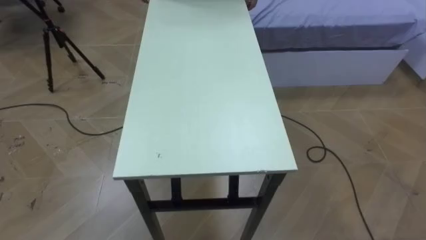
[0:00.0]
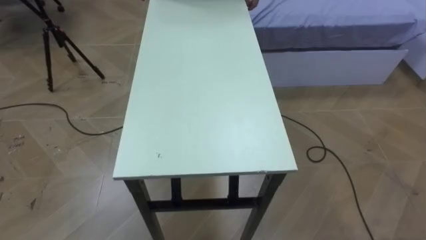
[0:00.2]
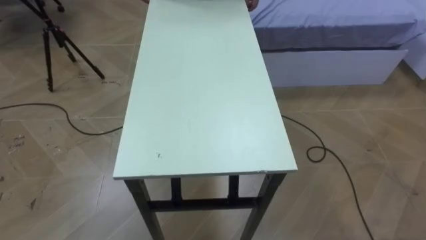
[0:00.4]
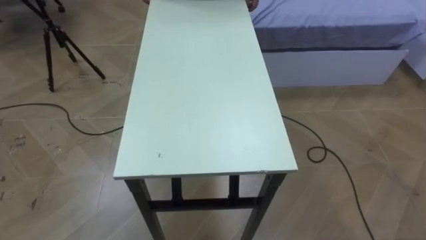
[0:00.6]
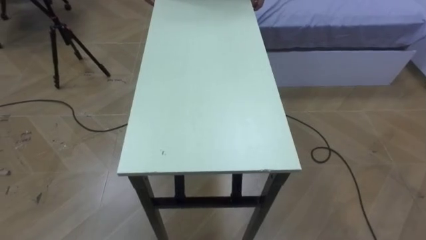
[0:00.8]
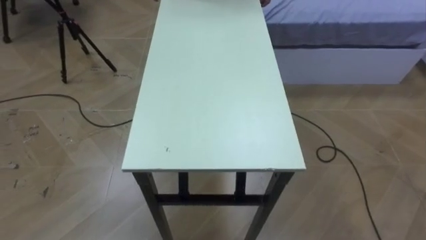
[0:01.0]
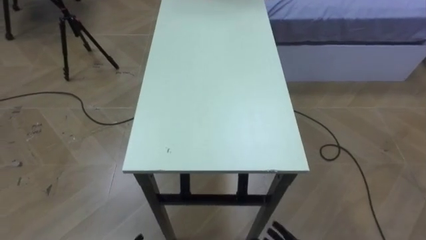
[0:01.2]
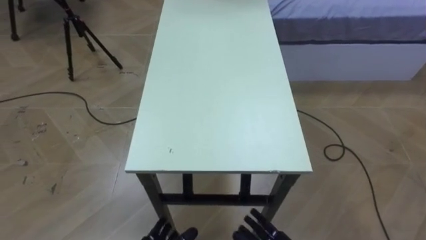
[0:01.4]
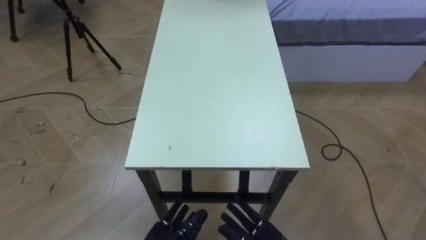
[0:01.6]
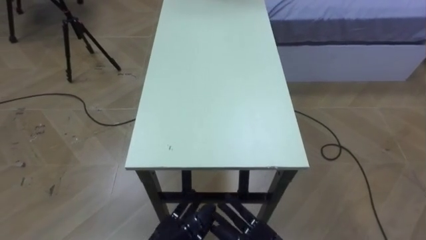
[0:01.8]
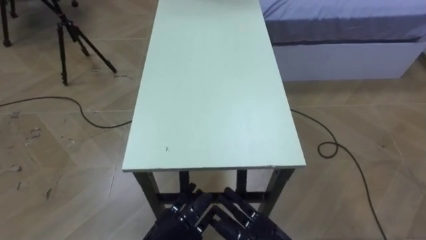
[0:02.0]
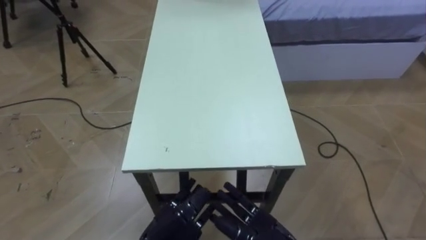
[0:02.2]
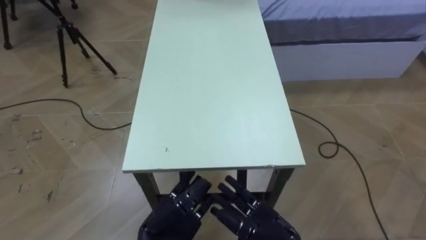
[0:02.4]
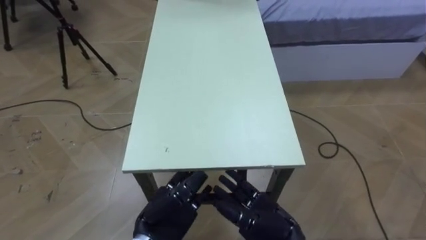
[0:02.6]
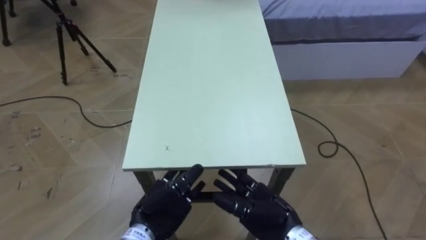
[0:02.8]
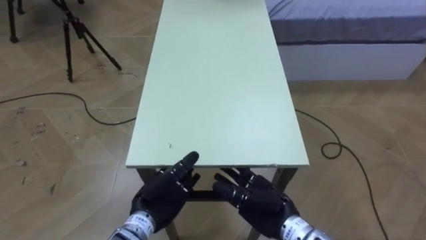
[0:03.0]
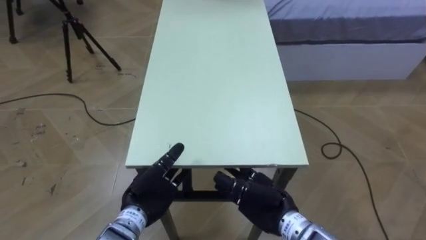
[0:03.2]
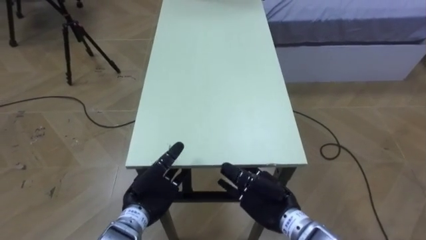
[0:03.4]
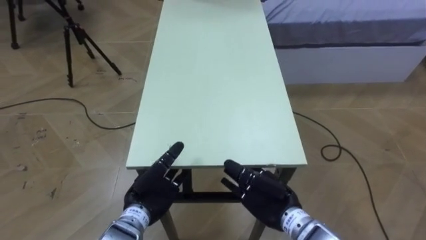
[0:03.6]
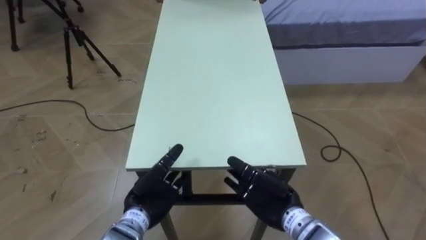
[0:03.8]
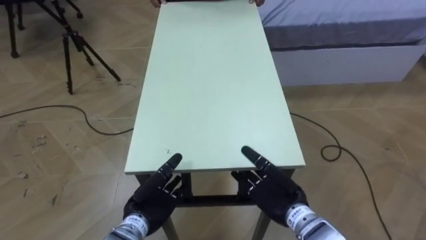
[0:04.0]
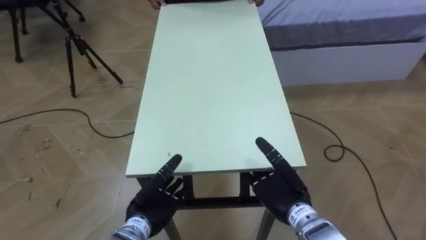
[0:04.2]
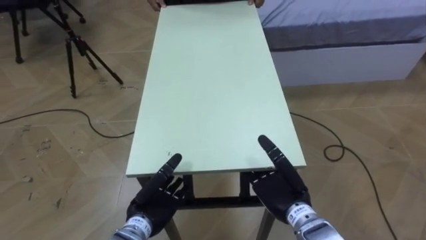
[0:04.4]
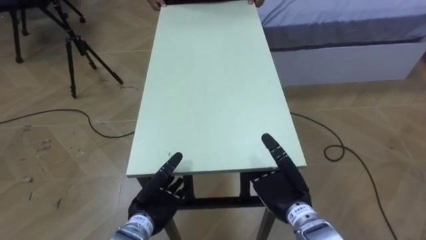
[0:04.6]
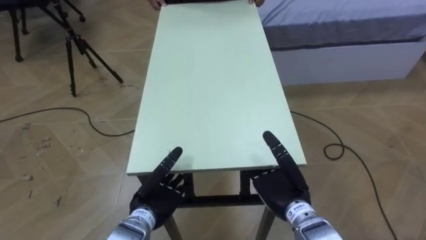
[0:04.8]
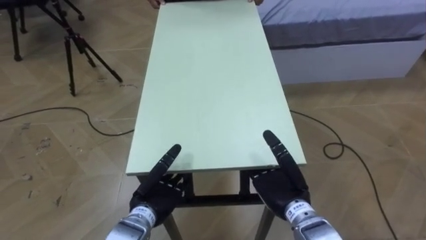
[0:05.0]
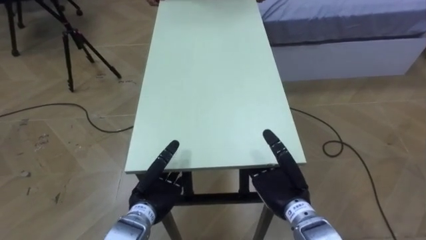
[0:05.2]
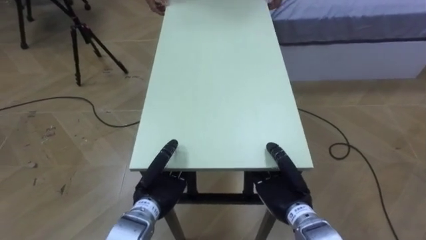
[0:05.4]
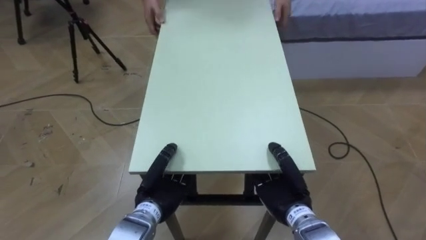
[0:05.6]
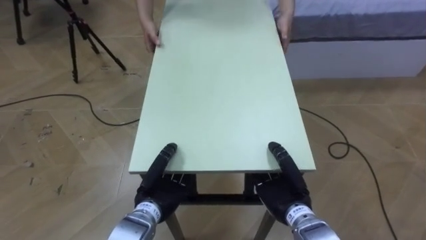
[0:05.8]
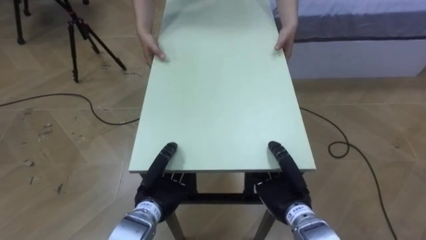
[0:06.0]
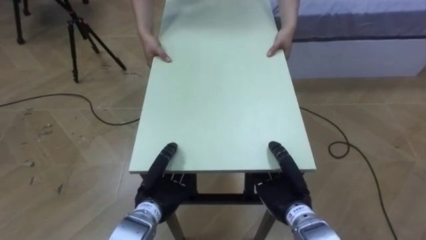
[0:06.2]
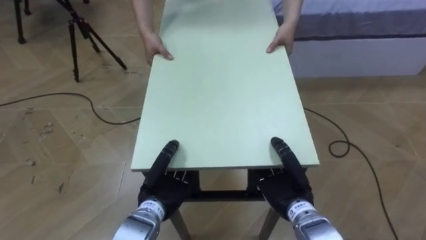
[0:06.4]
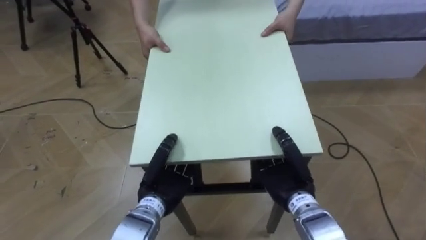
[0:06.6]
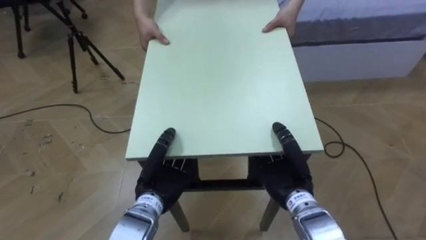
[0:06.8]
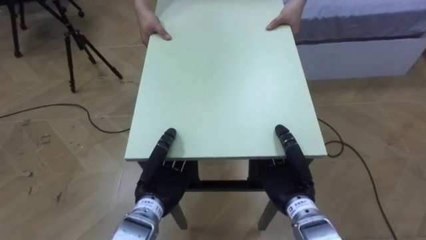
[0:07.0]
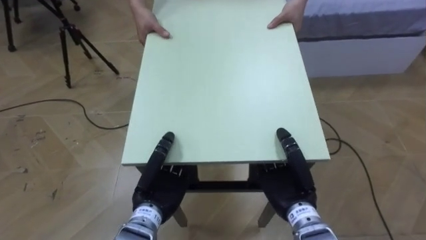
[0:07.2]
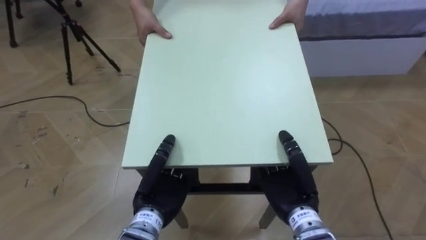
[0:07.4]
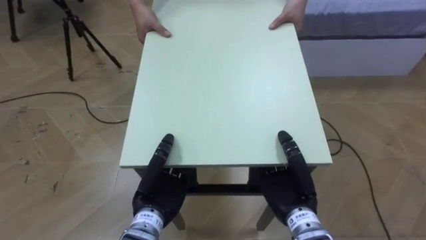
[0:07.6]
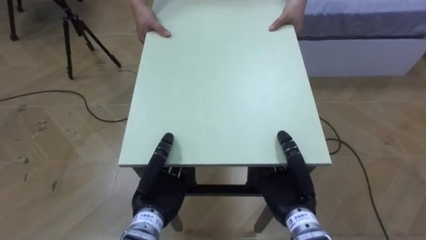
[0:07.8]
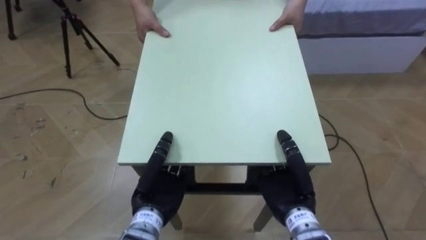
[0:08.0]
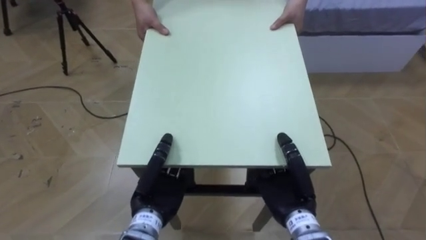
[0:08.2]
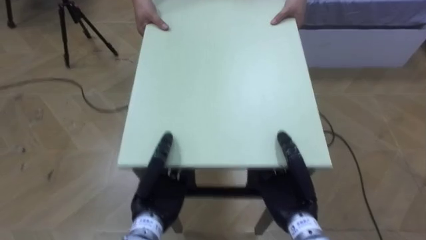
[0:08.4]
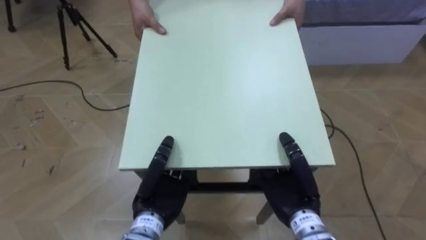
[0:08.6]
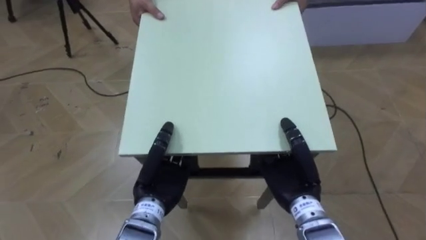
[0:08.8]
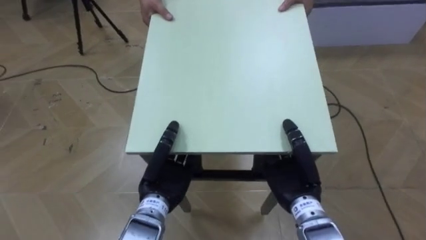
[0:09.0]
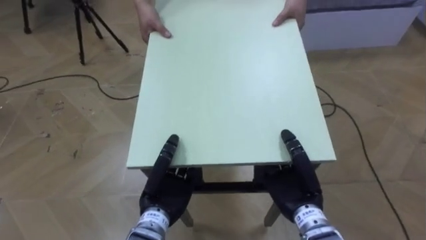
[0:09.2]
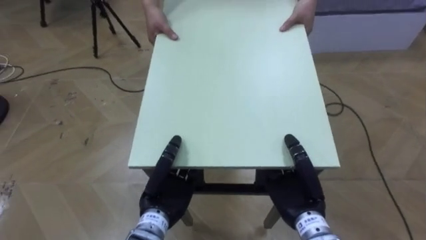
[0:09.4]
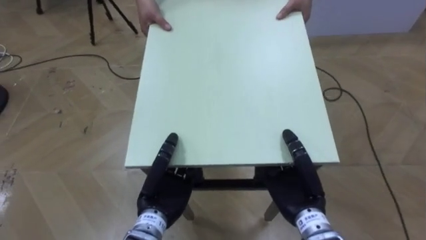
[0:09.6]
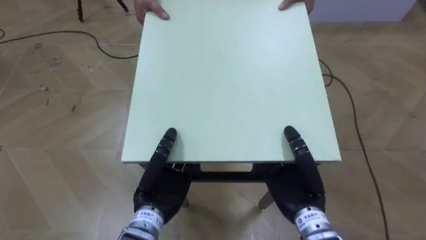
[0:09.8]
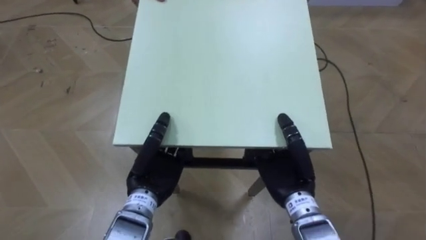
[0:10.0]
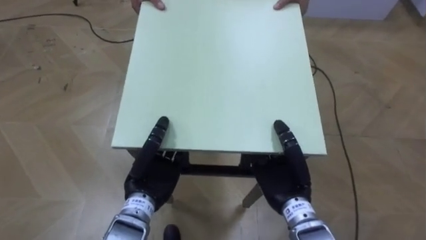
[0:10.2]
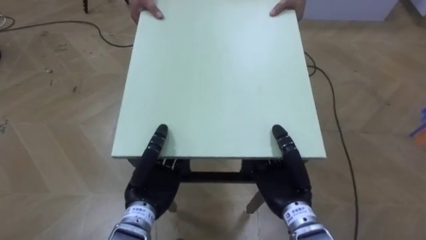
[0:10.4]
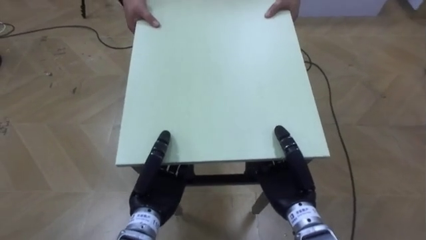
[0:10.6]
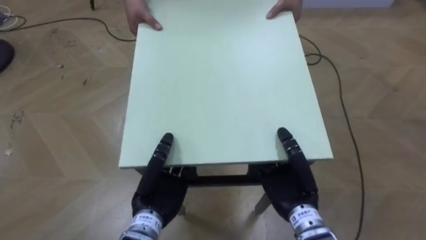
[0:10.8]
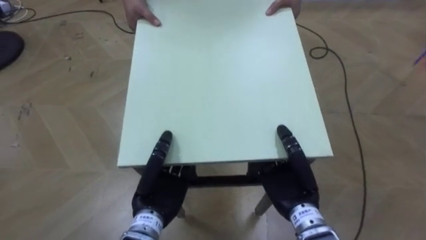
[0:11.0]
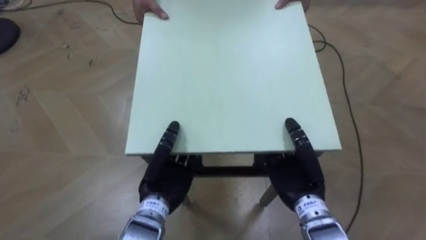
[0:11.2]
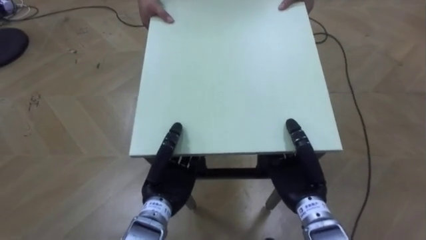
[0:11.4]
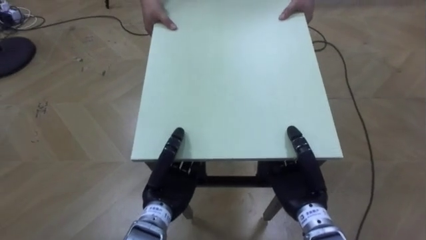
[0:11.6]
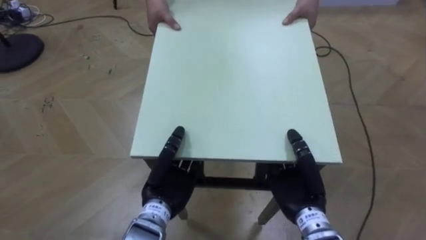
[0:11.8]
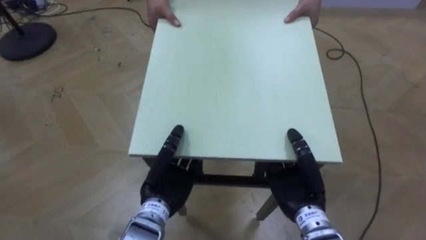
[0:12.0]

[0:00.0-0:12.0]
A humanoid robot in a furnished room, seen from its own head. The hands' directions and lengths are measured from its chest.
Task of the whole recording: Move the table to the back left with someone.
0:04.4 to 0:06.0: The left hand closes up. The right hand closes its fingers.

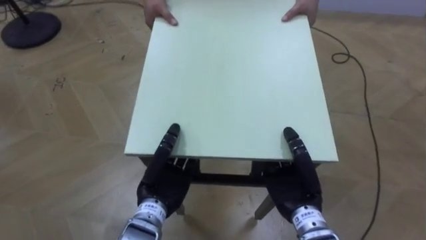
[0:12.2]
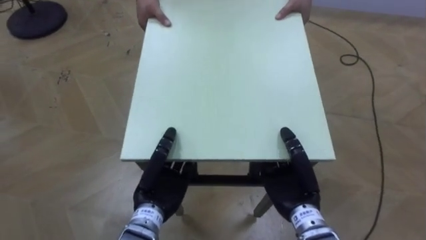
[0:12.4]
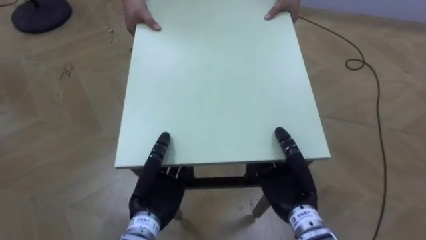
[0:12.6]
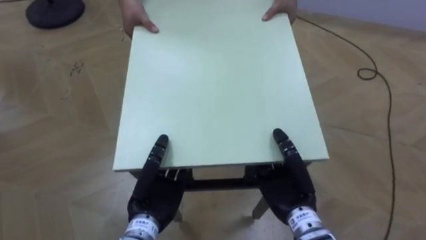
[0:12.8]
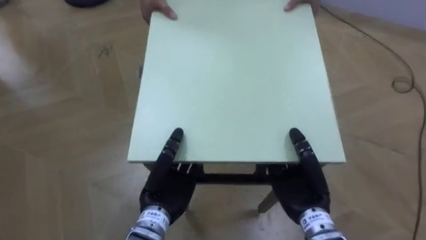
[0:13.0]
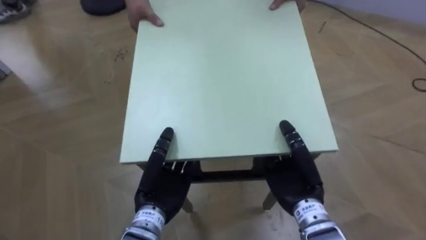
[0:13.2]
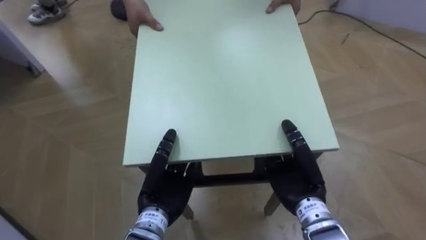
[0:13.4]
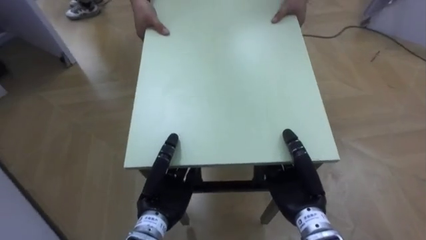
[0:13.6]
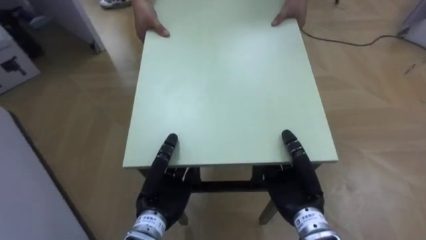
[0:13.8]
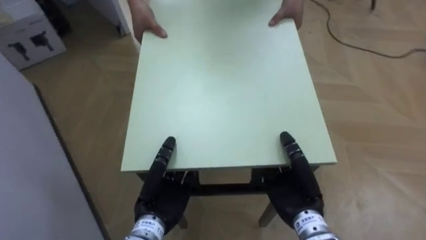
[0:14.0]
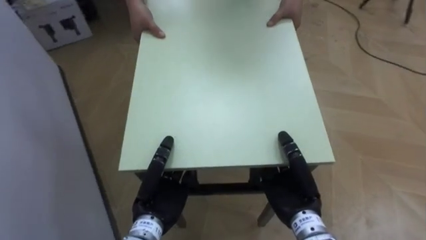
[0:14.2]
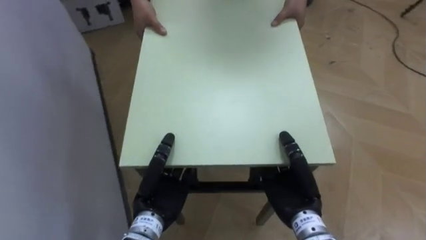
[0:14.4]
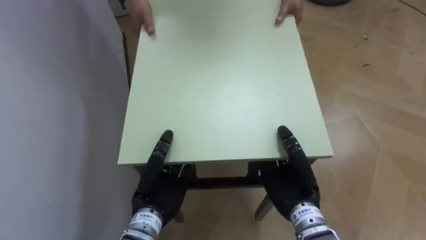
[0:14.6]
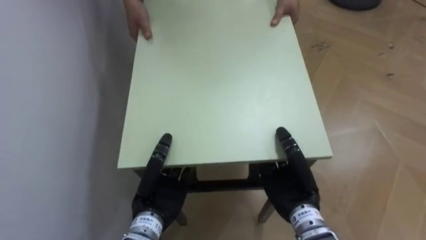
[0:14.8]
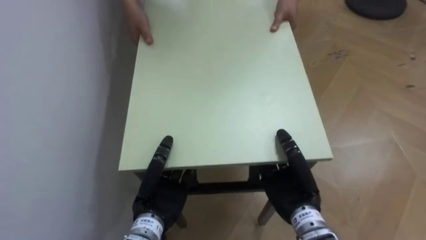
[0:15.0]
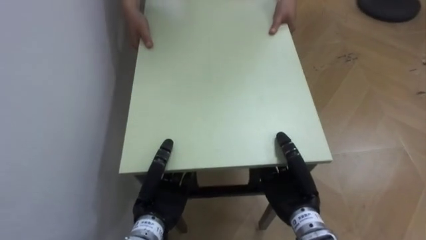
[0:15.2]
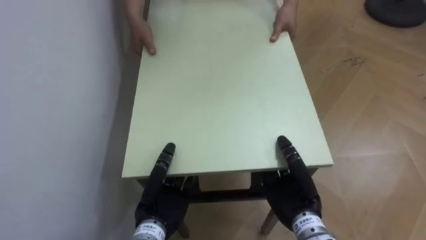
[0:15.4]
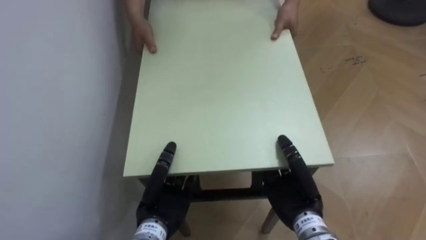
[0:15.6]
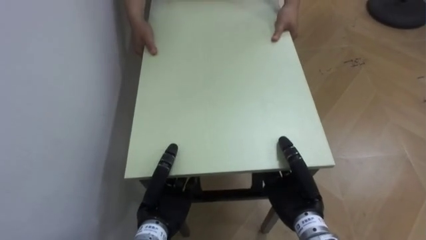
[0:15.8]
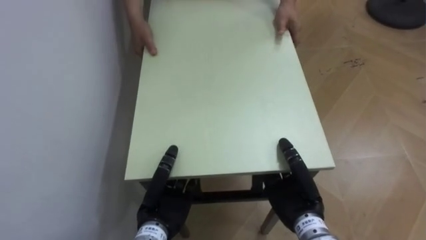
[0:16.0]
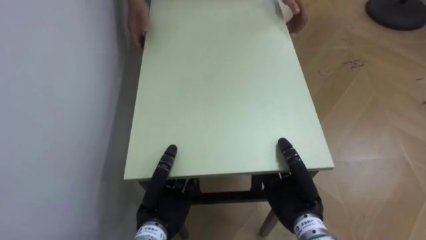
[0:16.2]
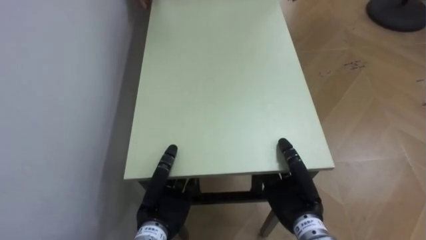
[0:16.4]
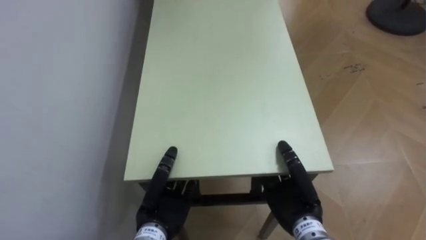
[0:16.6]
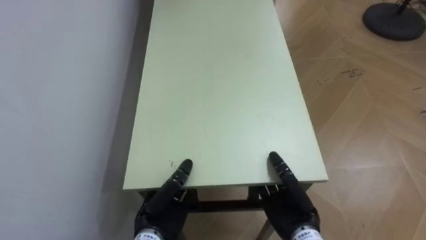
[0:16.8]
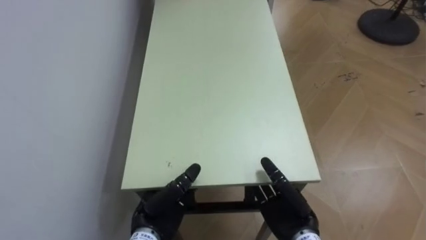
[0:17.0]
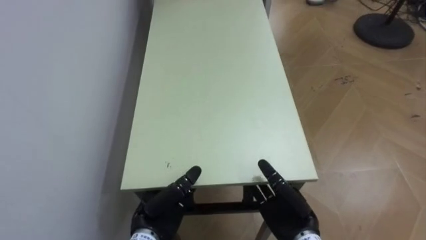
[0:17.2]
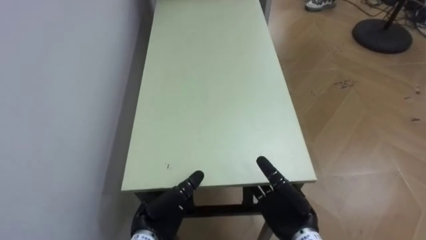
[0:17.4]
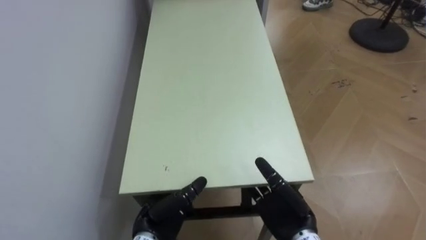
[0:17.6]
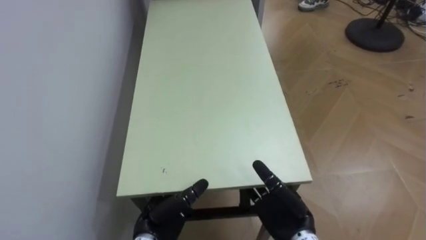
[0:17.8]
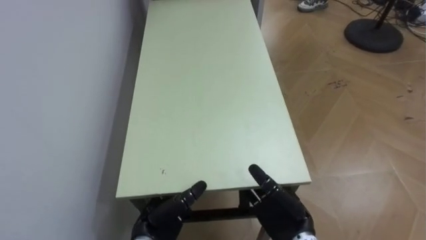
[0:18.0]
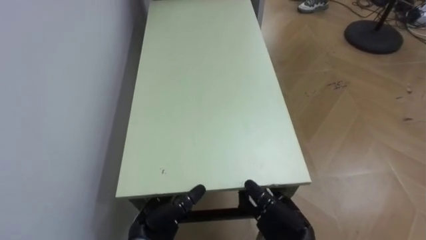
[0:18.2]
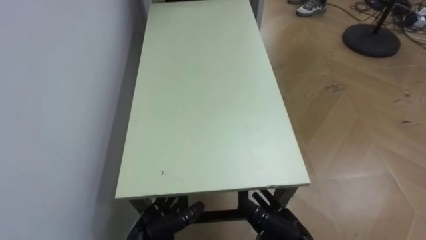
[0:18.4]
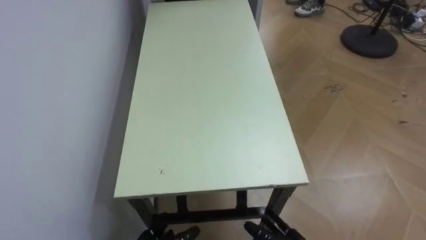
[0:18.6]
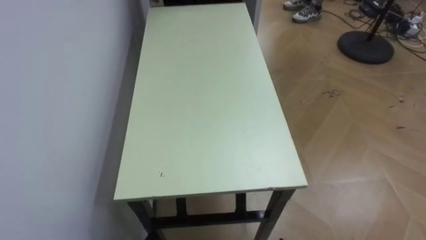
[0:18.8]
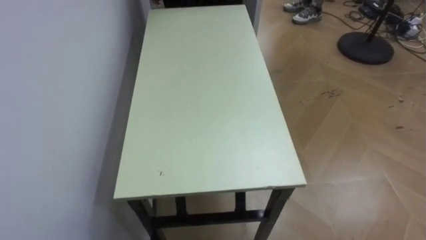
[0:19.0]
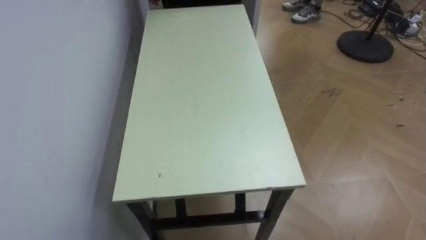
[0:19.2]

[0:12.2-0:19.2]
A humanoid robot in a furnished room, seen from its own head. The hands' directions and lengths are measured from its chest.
Task of the whole recording: Move the table to the back left with someone.
0:12.2 to 0:13.6: The robot turns to its left by approximately 25 degrees.
0:13.6 to 0:15.0: The robot faces about 40 degrees further to its left.
0:16.4 to 0:17.8: The left hand opens its fingers; the right hand opens up.
